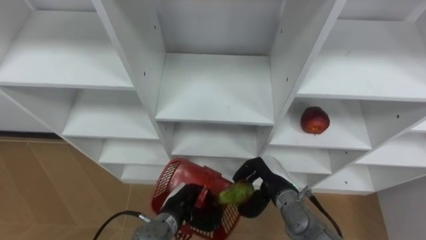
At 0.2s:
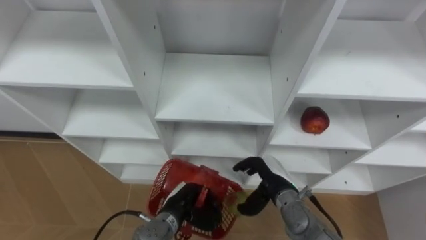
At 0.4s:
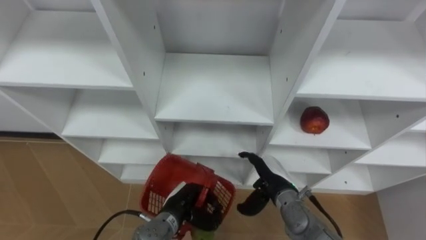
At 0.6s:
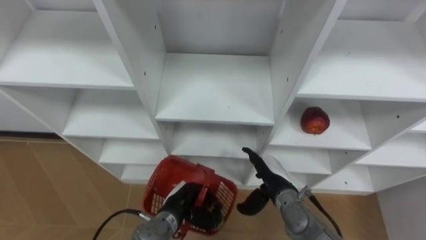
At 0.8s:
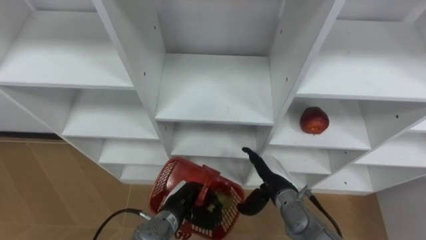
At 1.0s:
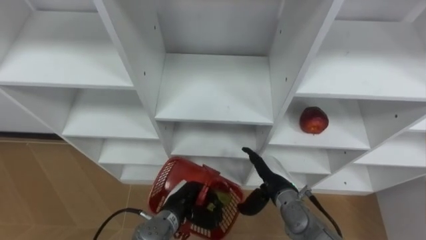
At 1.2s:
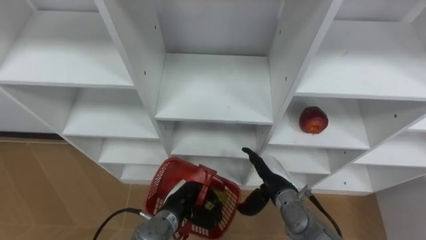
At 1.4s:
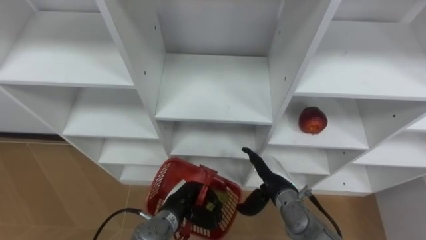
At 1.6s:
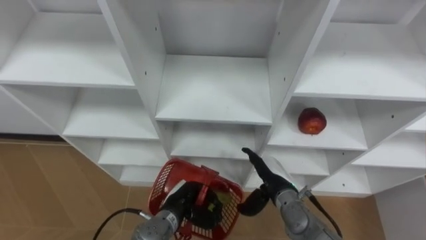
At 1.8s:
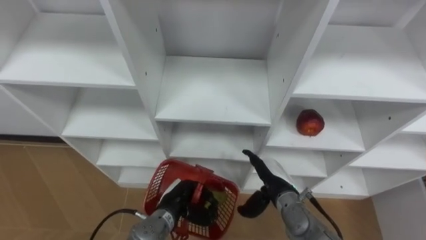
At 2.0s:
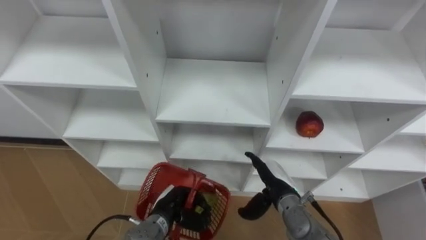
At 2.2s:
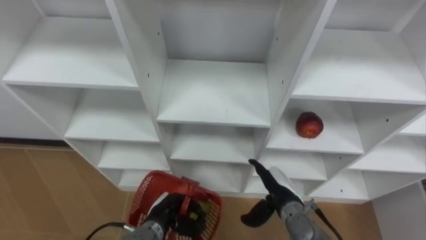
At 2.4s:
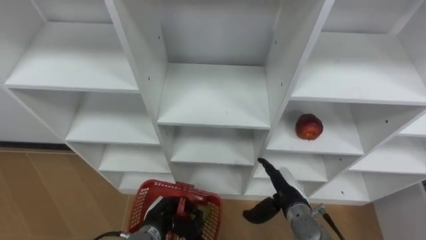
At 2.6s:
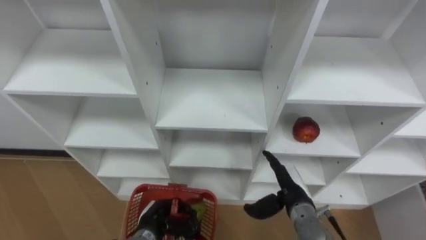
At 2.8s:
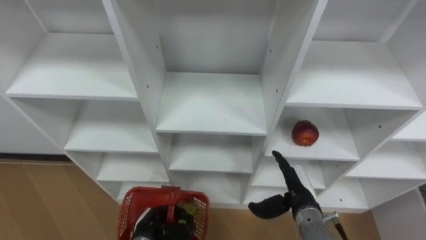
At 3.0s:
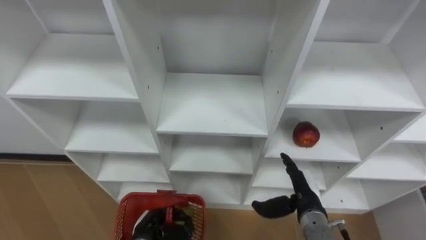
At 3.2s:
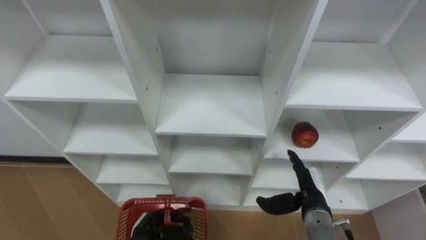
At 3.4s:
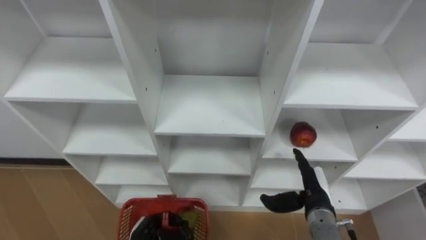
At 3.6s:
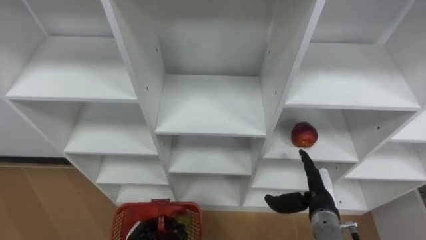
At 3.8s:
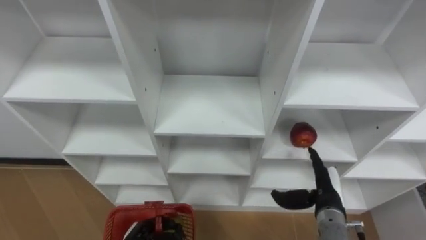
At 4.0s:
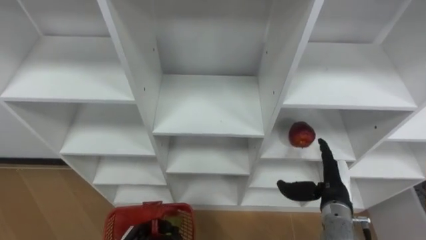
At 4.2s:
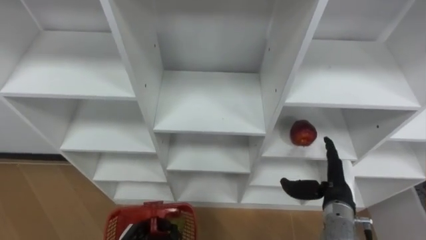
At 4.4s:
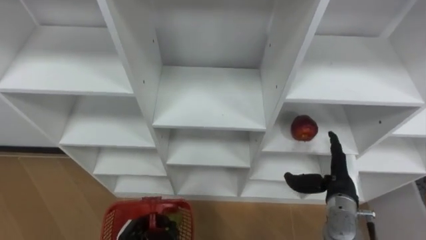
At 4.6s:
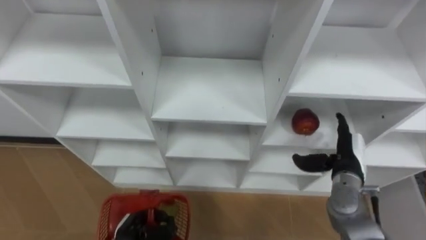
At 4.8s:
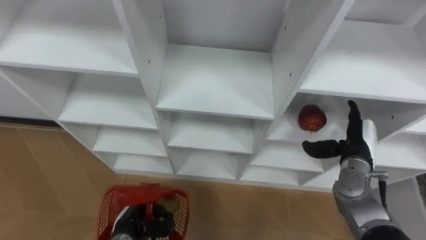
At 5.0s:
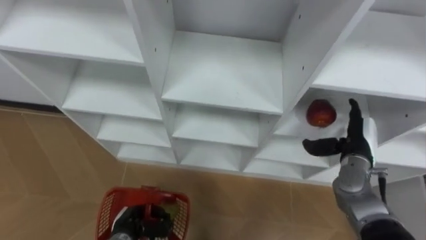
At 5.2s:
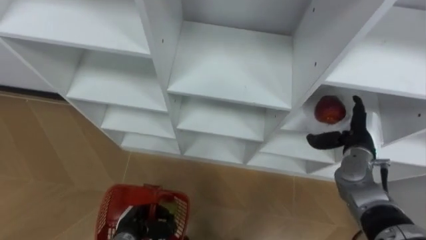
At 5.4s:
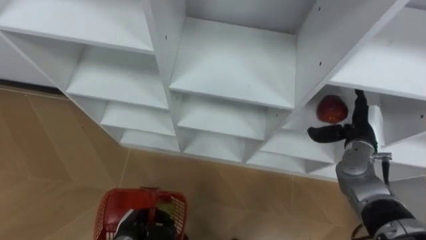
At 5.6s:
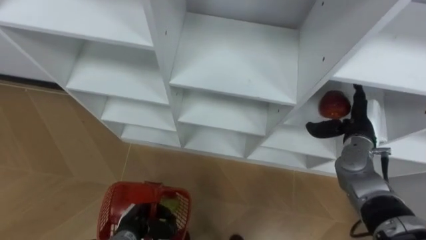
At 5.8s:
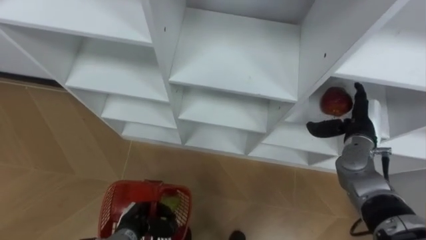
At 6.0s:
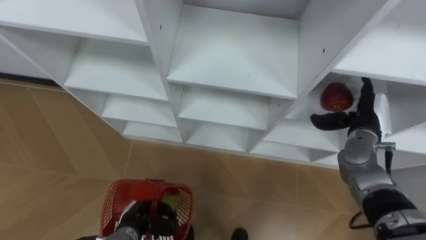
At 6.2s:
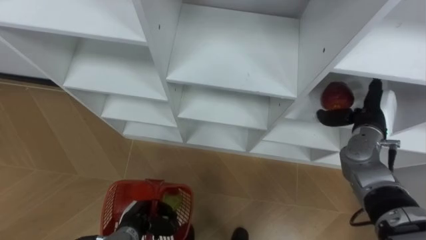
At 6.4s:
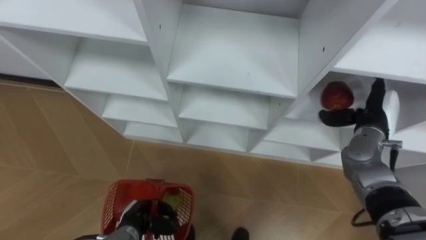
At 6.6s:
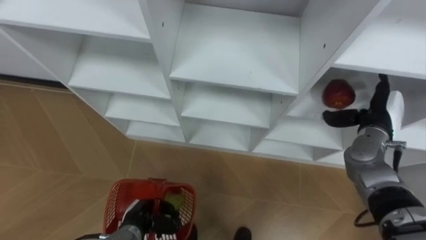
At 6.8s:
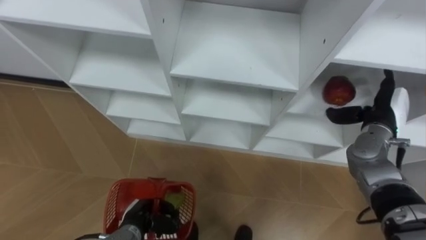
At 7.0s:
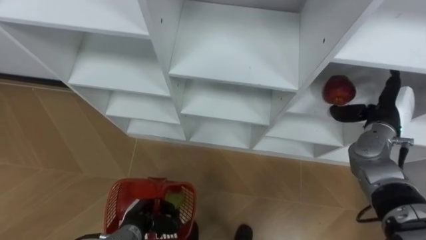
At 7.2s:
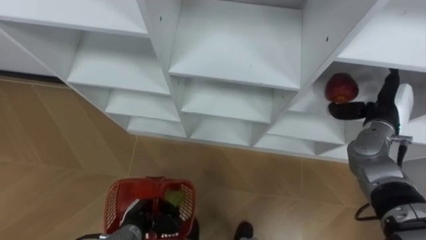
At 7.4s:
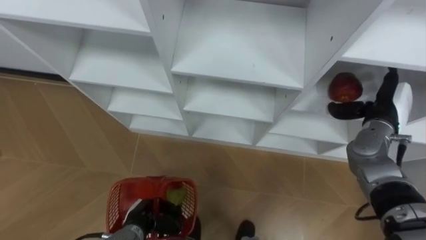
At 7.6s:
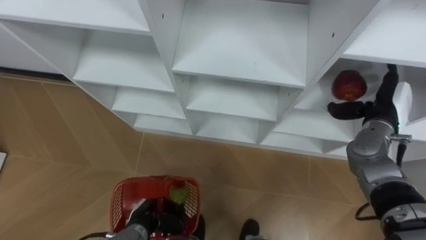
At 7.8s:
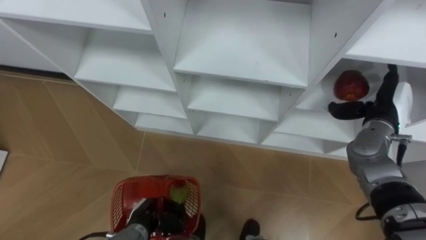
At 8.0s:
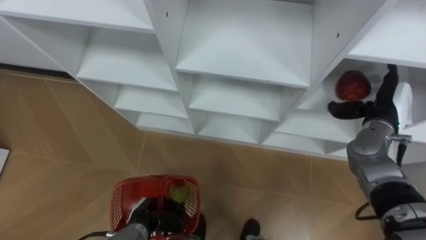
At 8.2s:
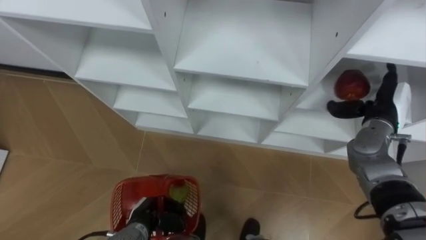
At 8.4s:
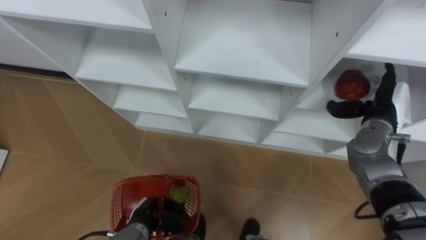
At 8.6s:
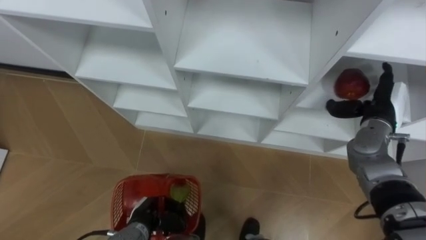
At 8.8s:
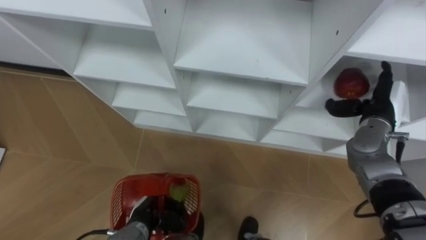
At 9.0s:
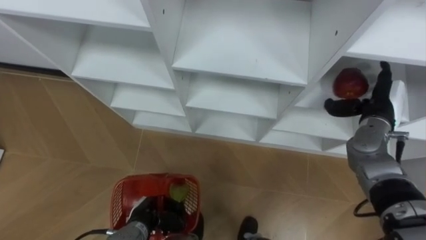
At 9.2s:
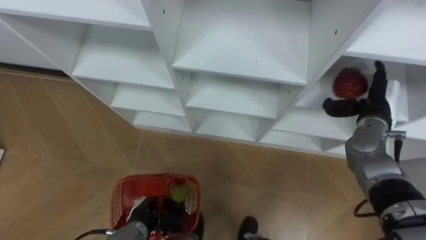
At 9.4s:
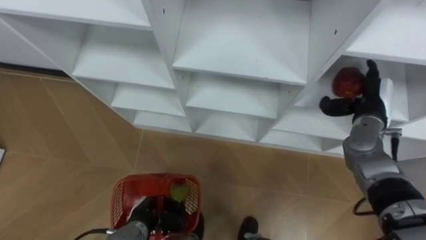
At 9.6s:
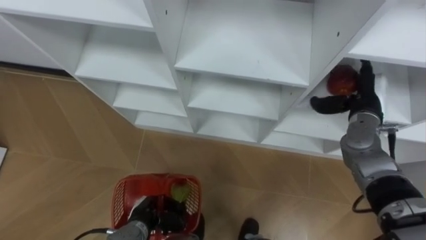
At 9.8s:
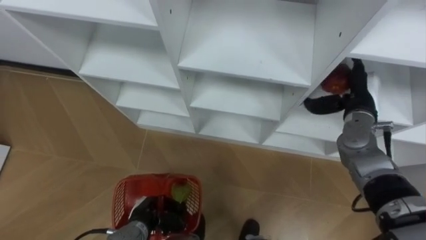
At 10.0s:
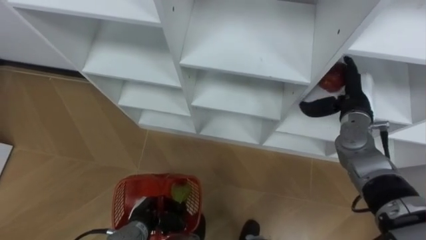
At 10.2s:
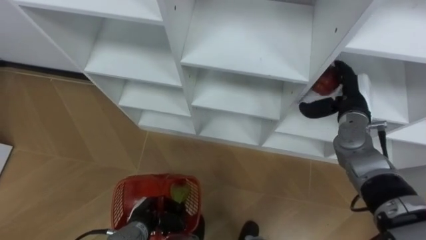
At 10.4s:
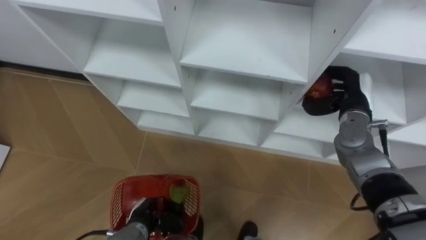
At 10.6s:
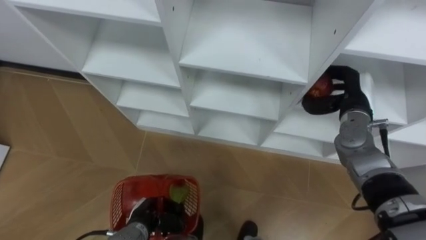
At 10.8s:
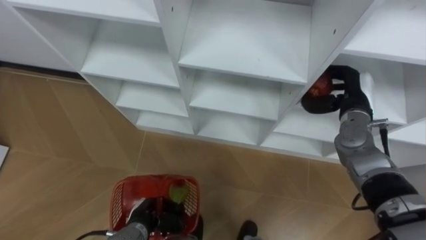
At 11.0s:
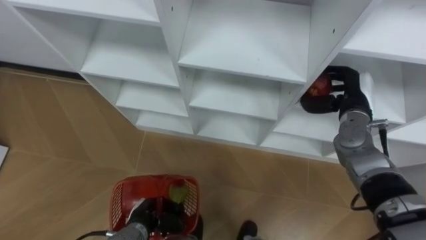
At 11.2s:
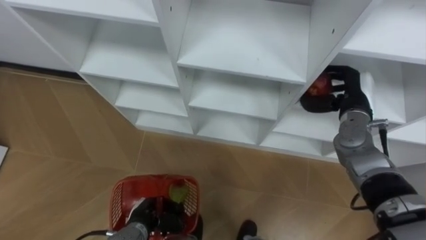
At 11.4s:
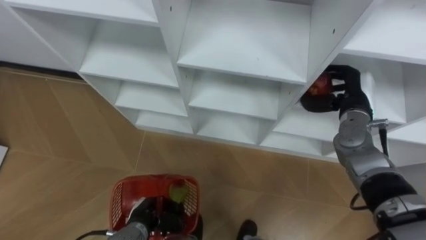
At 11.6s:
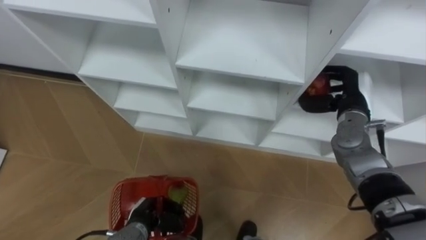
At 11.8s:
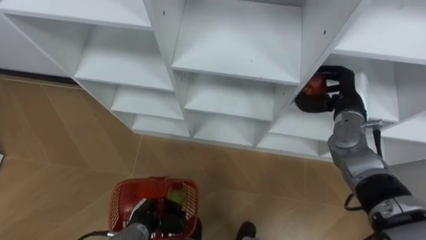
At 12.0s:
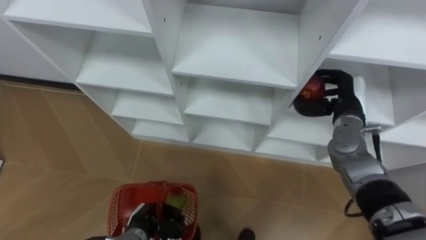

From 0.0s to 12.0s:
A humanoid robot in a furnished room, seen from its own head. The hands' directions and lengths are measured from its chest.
Task of the whole recording: Hold the basket and collect the fruits from 3 different cells of the closet into it.
From 0.0s to 1.6s: The right hand opens up.
From 1.6s to 3.0s: The right hand travels to the right by approximately 5 cm; the left hand shifts about 10 cm to the left and backward.
From 3.0s to 4.4s: The right hand travels to the right by roughly 5 cm.
From 4.4s to 6.0s: The right hand travels forward and upward by about 10 cm.
From 7.6s to 9.0s: Neither hand changes place.
From 9.0s to 10.4s: The right hand closes its fingers.

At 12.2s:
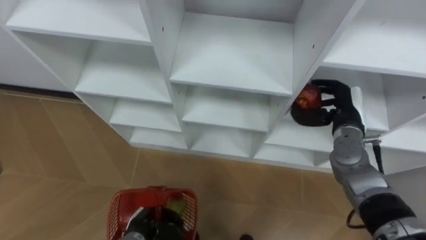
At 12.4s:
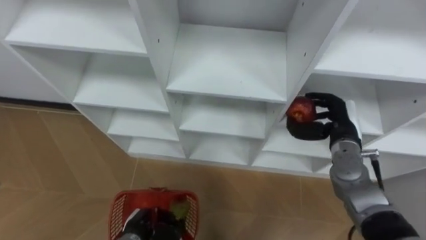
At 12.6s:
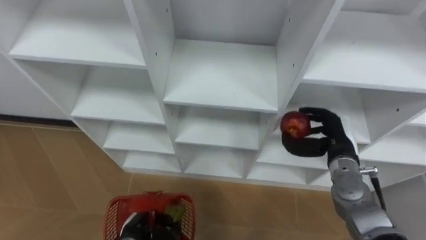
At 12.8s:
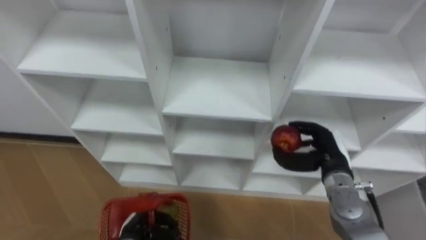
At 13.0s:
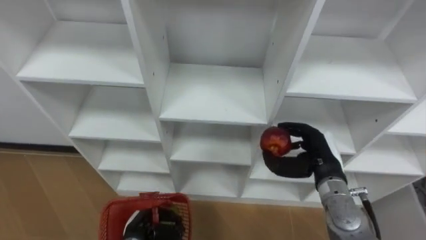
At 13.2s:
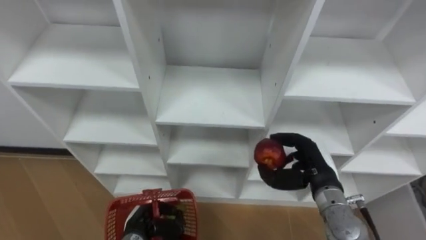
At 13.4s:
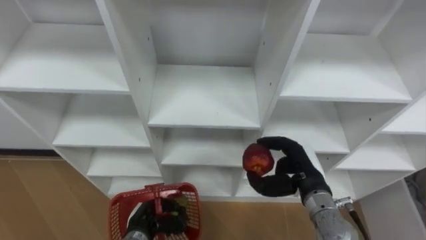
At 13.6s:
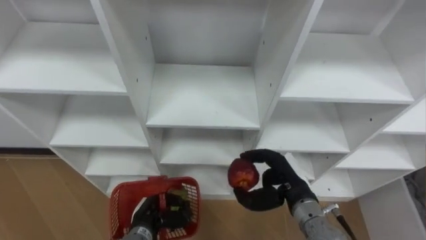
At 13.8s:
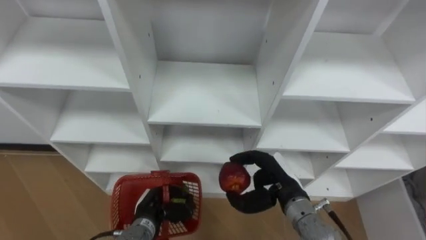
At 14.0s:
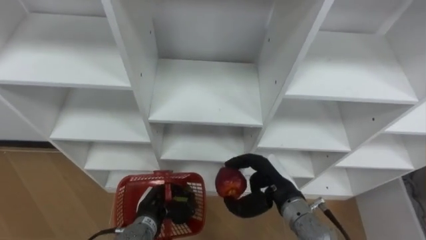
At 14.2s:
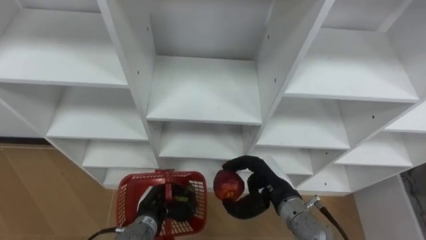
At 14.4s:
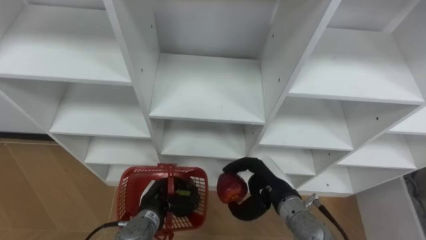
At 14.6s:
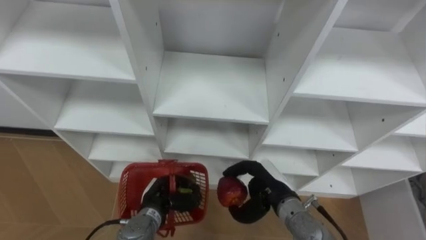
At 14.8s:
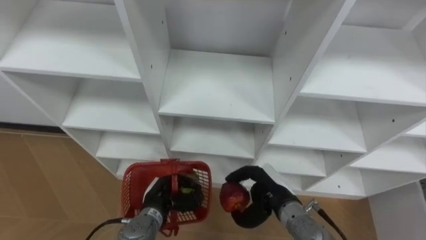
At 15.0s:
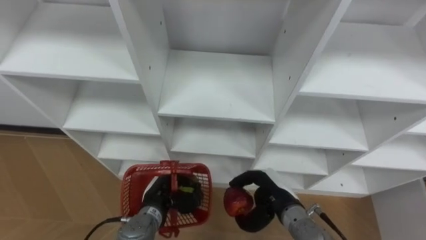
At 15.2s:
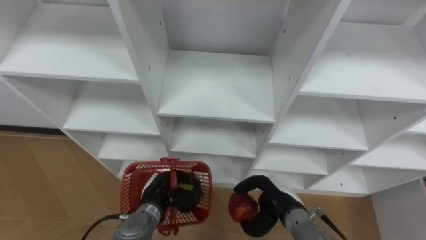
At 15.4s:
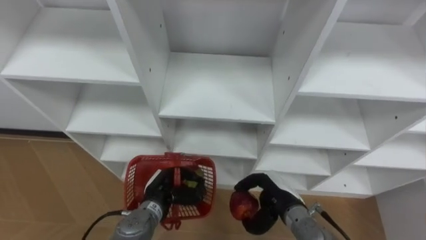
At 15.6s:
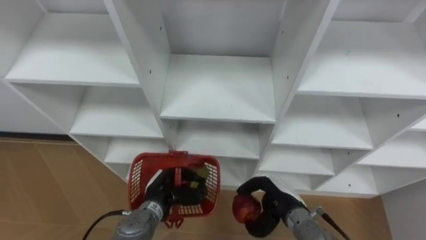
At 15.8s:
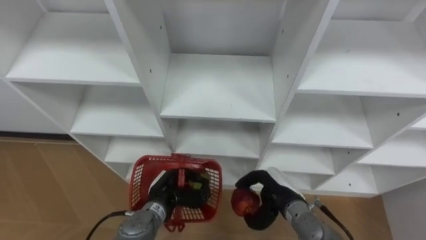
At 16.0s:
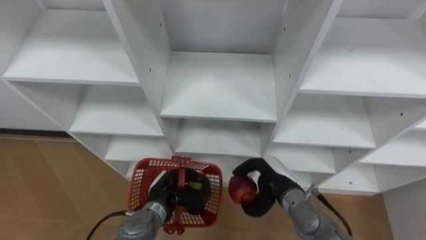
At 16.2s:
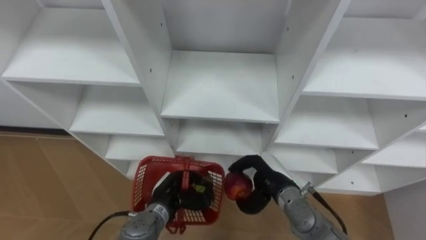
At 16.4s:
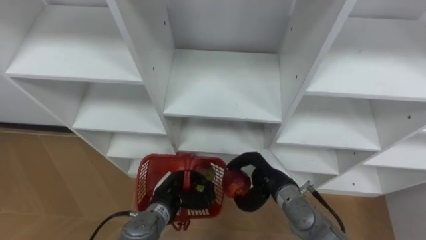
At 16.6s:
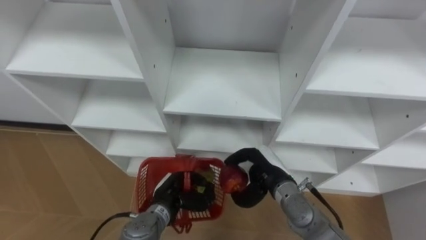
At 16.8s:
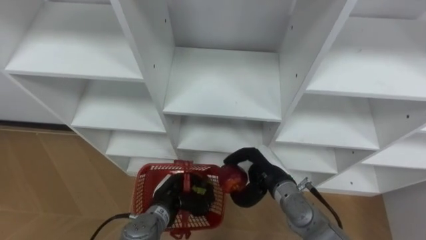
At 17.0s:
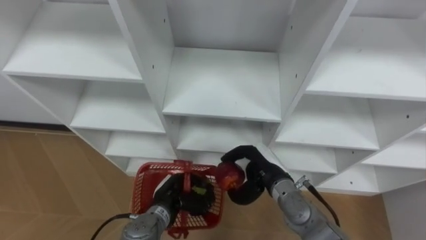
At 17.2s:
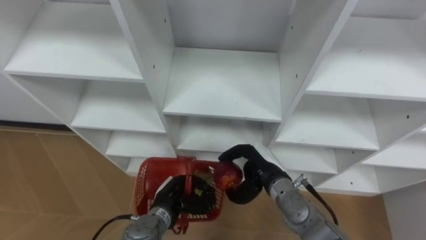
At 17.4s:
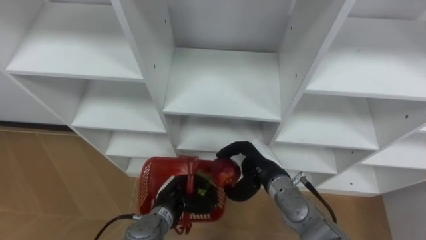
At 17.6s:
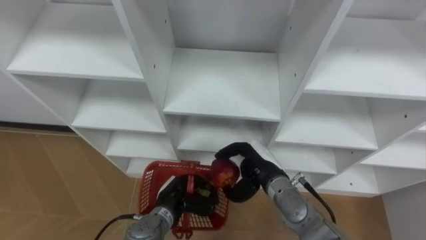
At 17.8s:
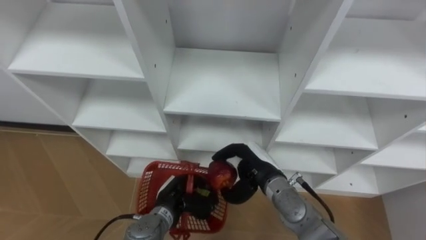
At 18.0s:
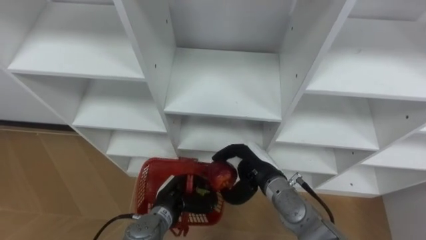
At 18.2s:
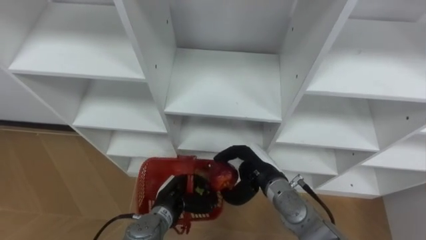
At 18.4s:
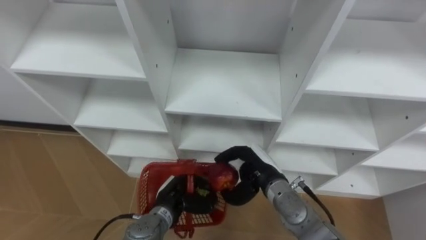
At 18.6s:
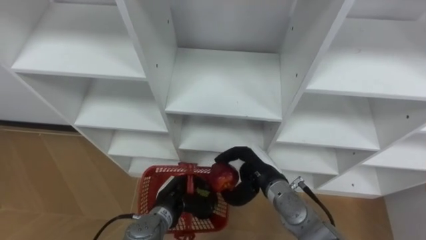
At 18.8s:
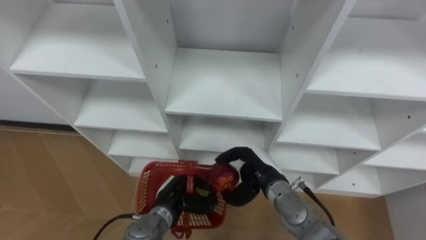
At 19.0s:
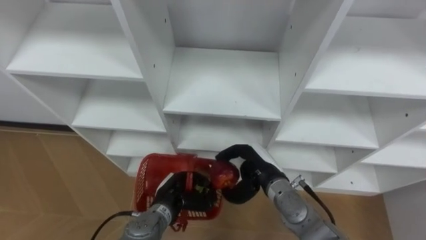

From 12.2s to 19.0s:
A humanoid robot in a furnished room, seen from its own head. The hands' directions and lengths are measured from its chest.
Task of the whole recording: Hold the basket and collect the fruits from 3 different cells of the closet into it.
From 12.2s to 13.6s: The right hand moves backward, to the left and downward, about 15 cm.
From 13.6s to 15.0s: The right hand changes place by roughly 5 cm. Meanwhile the left hand changes place by roughly 5 cm.
From 16.2s to 19.0s: The hands move only a little.
